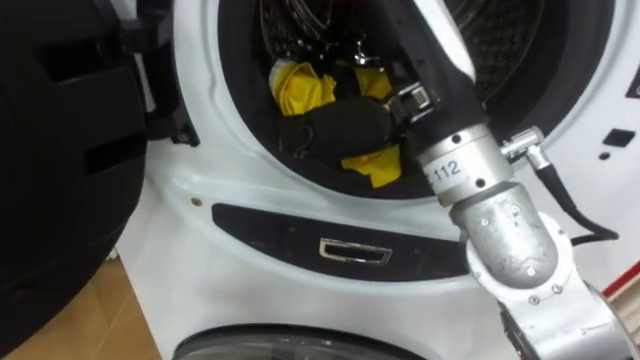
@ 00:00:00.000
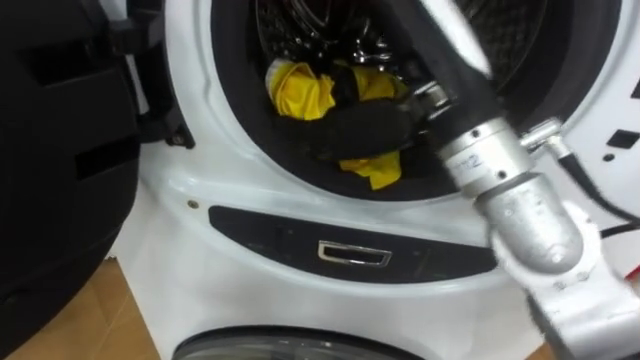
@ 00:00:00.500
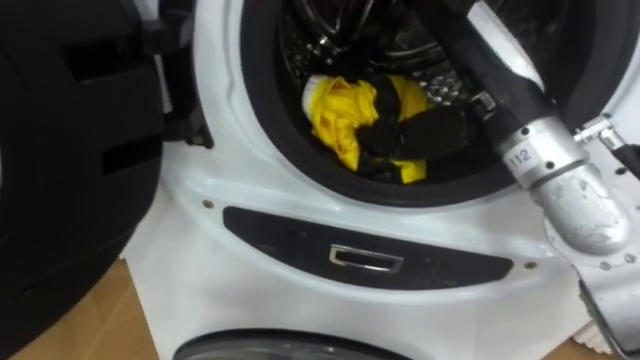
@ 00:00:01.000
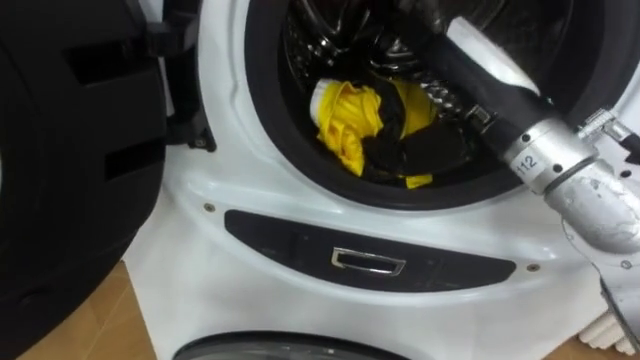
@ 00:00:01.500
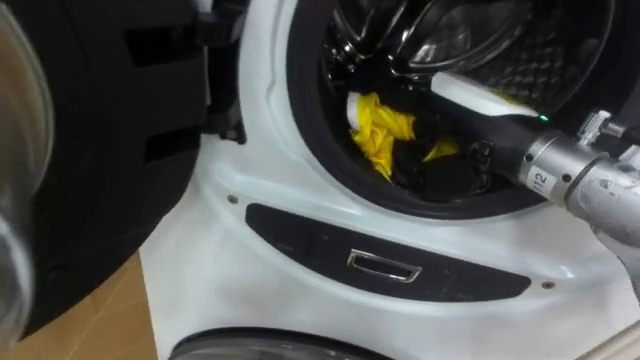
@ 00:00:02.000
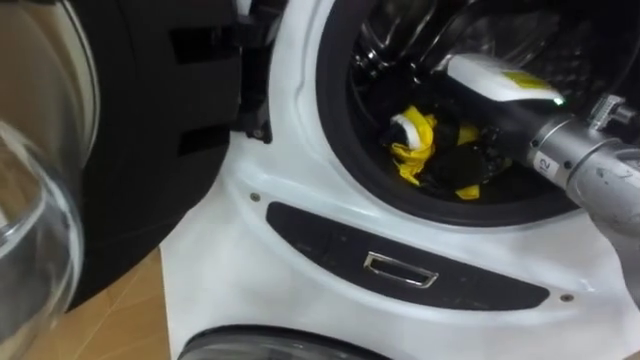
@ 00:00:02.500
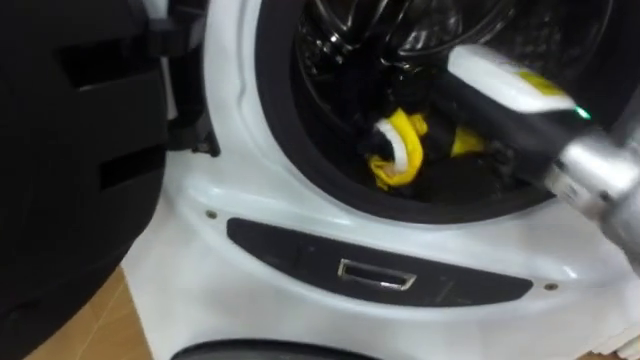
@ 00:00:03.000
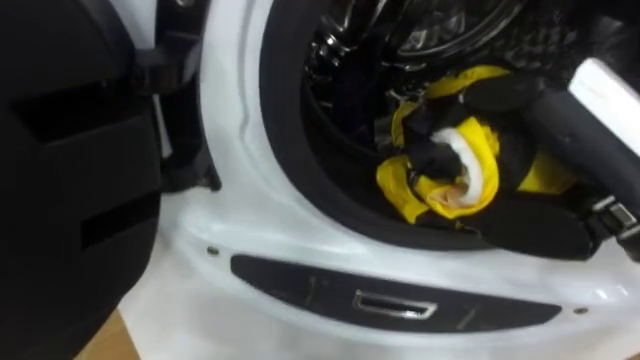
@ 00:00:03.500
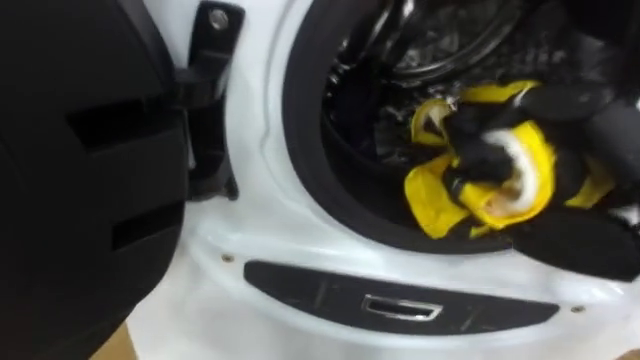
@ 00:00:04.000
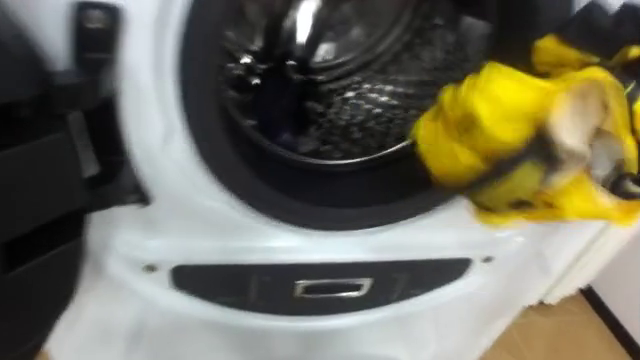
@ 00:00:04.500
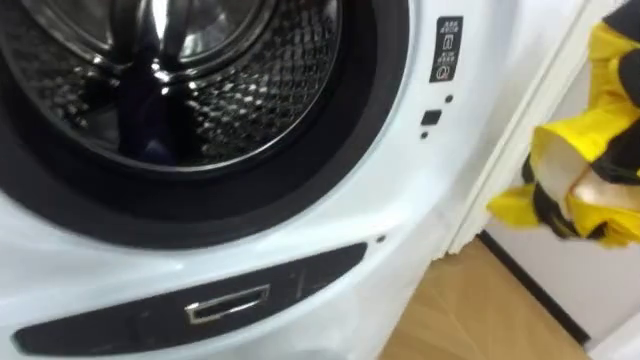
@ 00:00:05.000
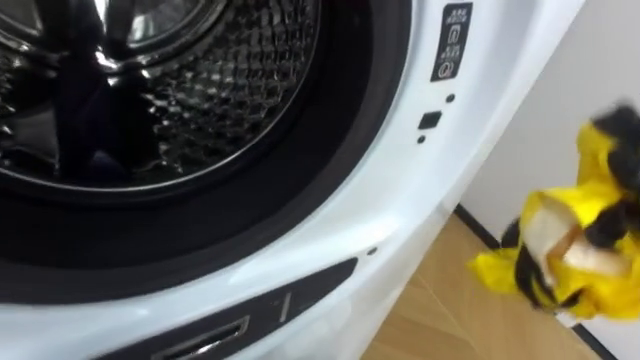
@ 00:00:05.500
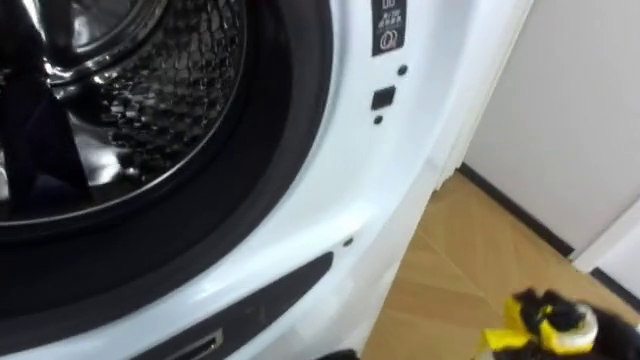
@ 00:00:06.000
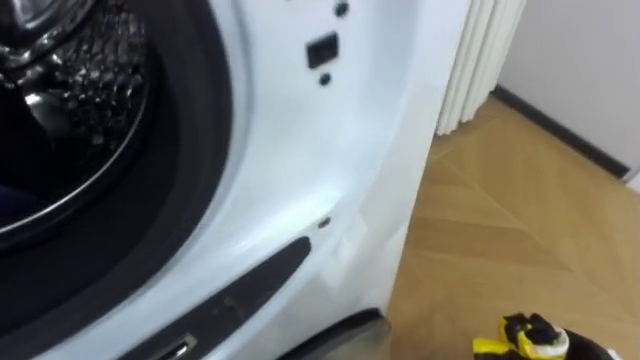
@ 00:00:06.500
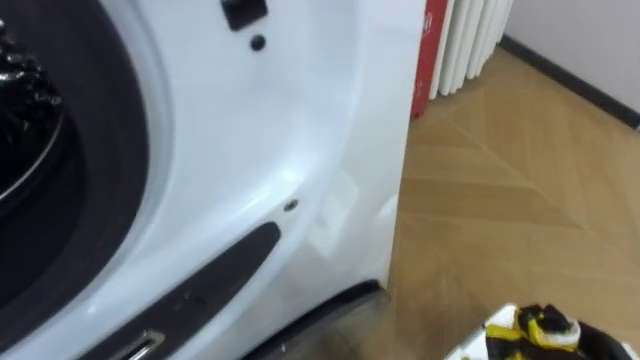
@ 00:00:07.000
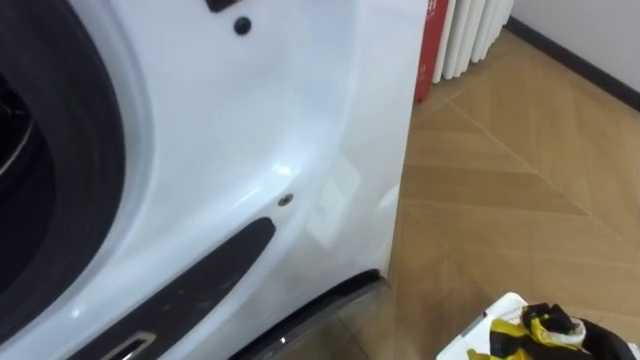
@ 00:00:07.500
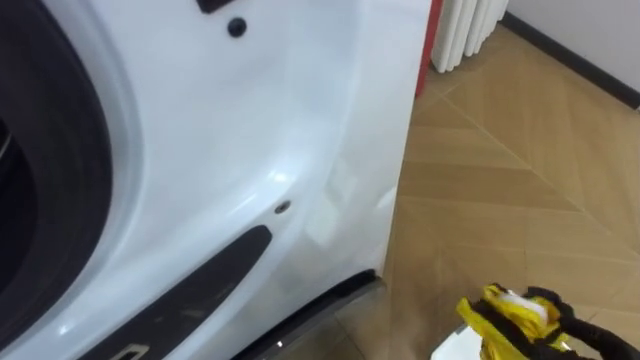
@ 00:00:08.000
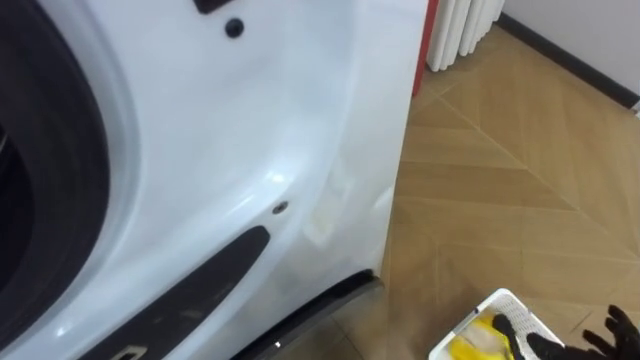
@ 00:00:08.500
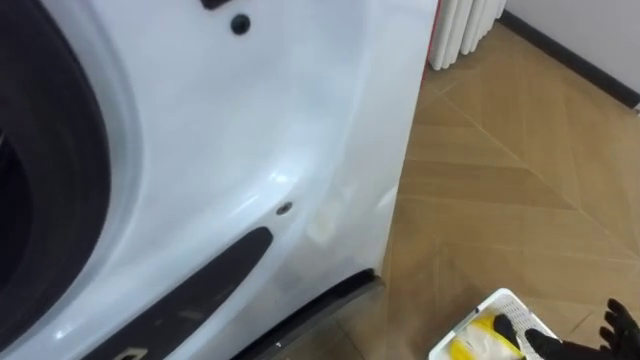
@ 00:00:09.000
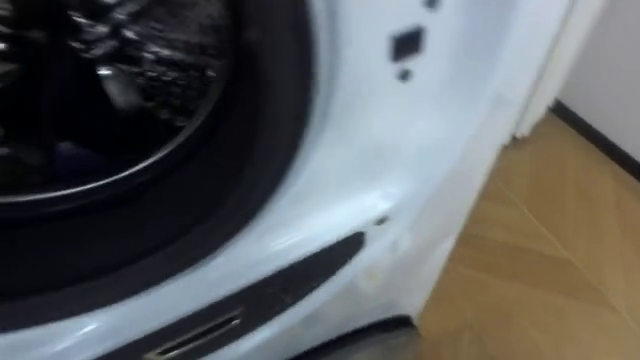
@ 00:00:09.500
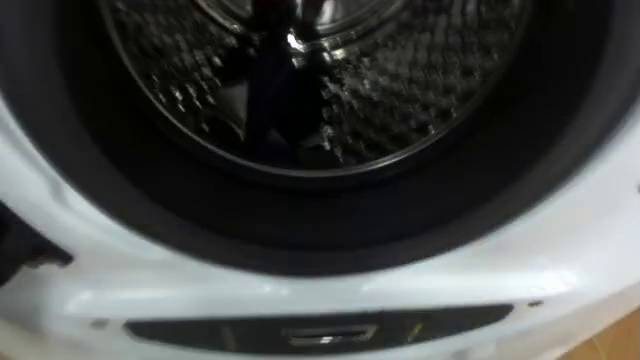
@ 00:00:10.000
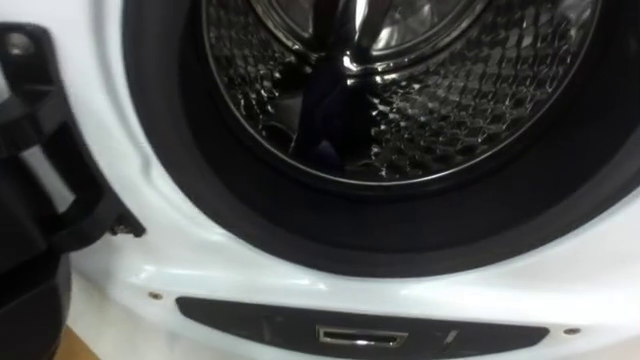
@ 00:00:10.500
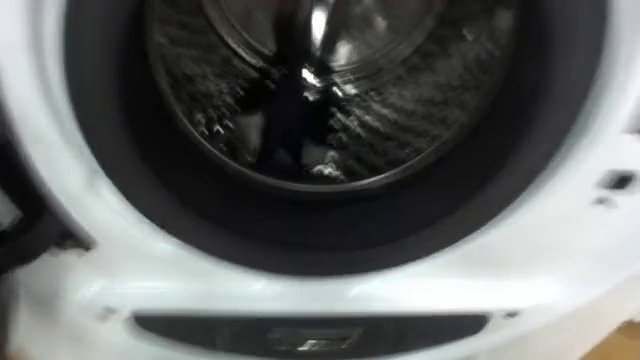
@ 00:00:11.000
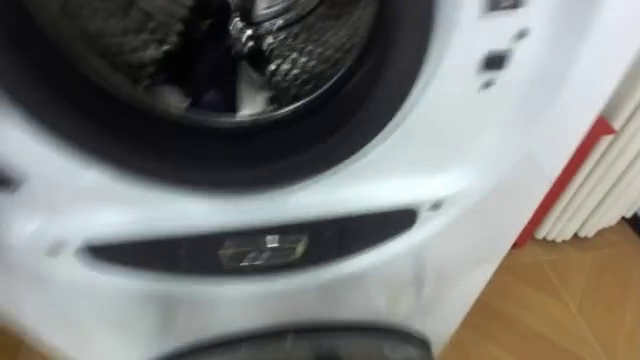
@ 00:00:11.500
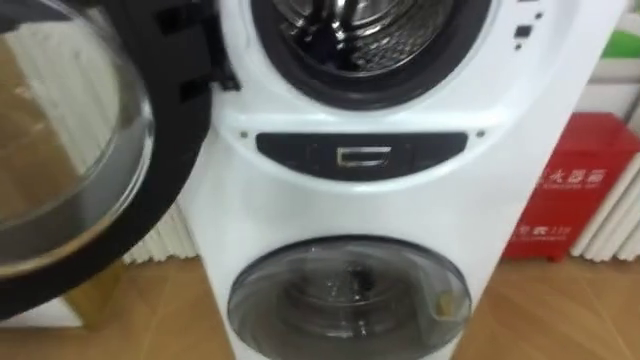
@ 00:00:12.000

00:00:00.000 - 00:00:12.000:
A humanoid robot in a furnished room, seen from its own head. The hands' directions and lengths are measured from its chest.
Task of the whole recording: Open the washing machine door, take out the yellow clothes, place them in the box on the right, and close the washing machine door.
00:00:00.000 - 00:00:02.000: The right hand heads downward and to the right, covering some 10 cm.

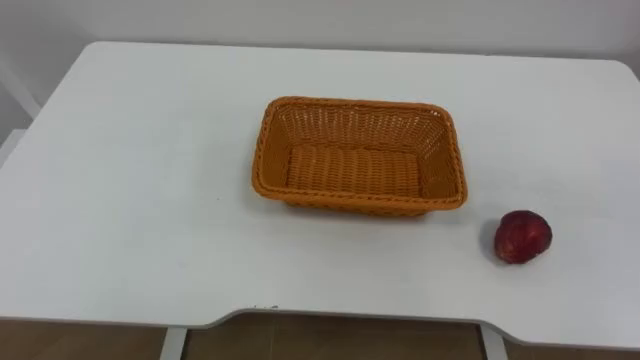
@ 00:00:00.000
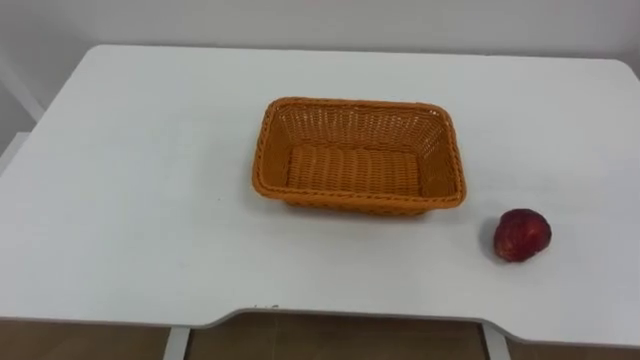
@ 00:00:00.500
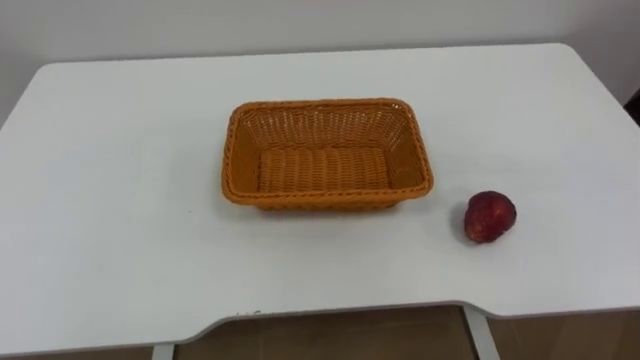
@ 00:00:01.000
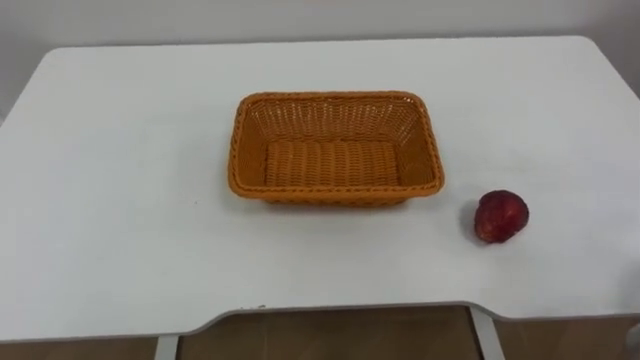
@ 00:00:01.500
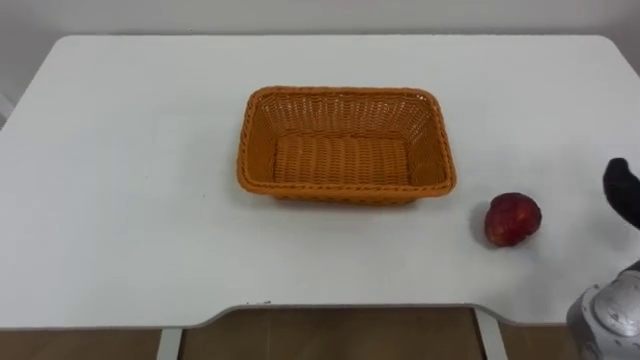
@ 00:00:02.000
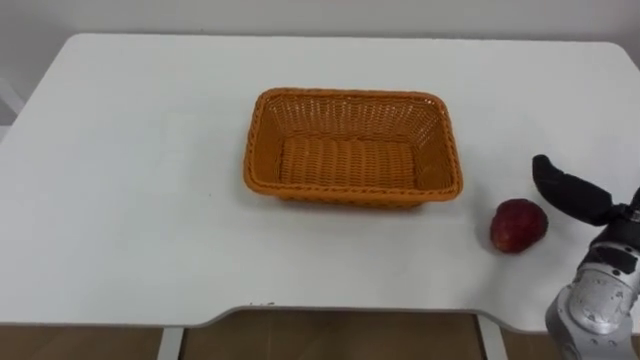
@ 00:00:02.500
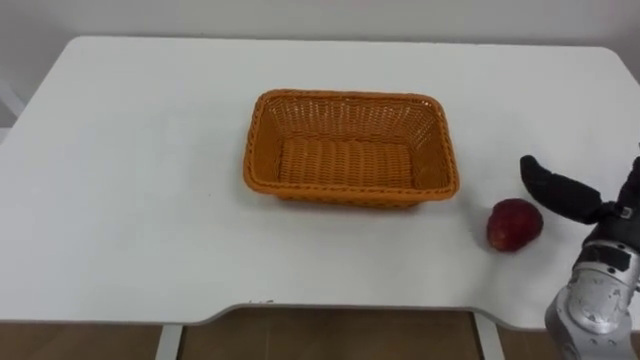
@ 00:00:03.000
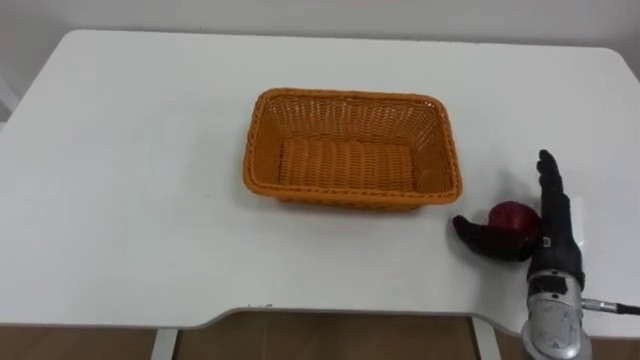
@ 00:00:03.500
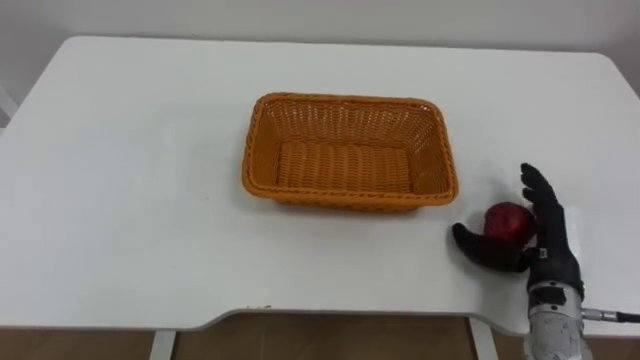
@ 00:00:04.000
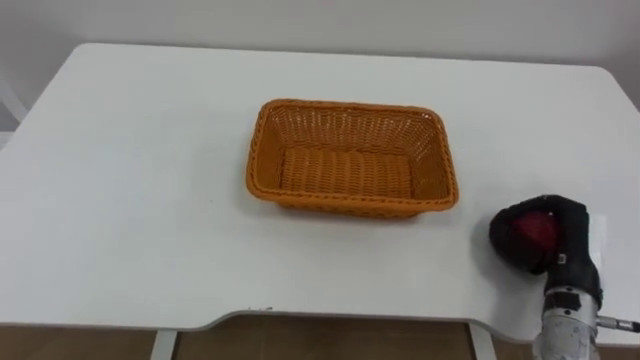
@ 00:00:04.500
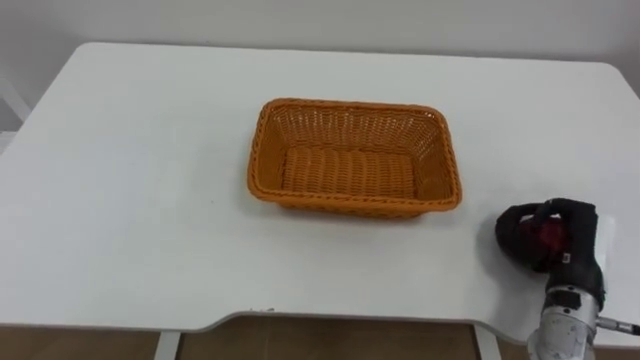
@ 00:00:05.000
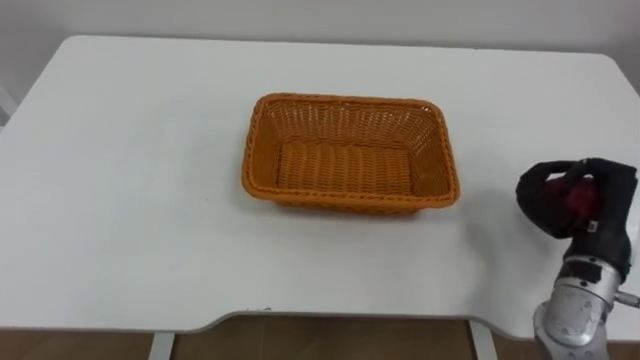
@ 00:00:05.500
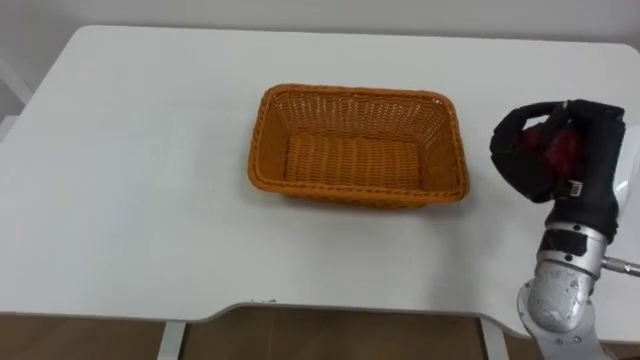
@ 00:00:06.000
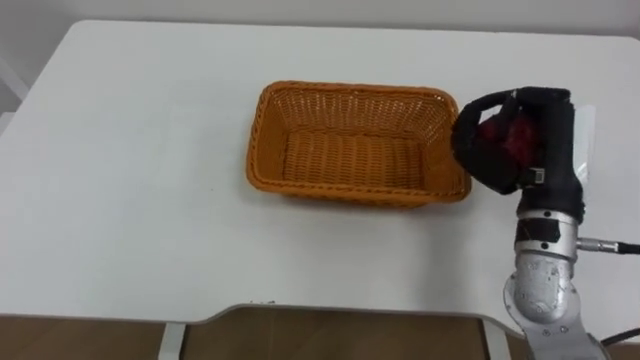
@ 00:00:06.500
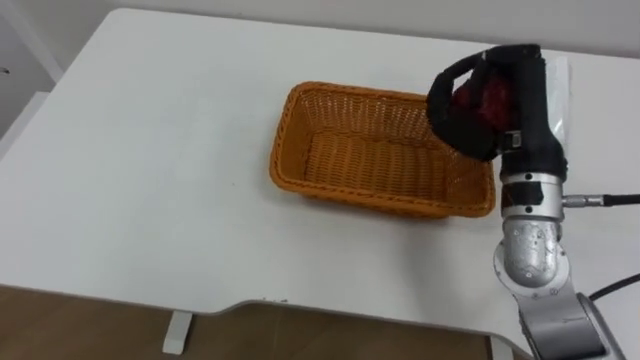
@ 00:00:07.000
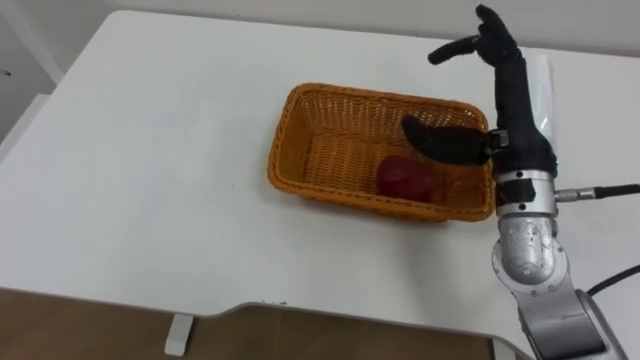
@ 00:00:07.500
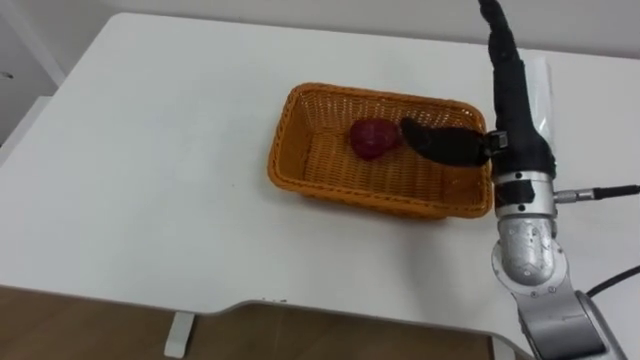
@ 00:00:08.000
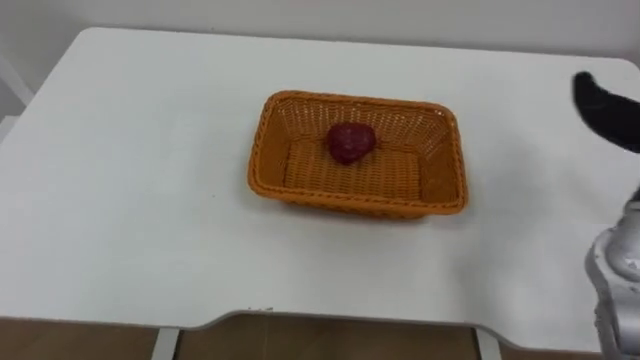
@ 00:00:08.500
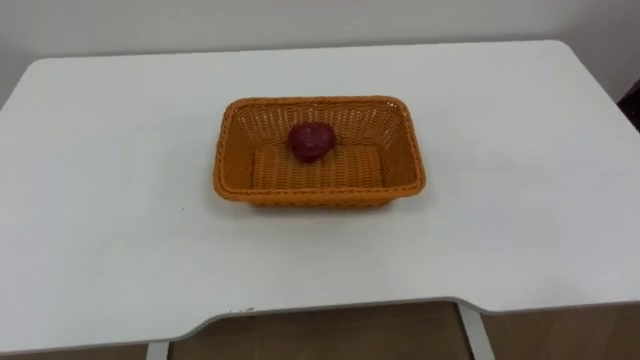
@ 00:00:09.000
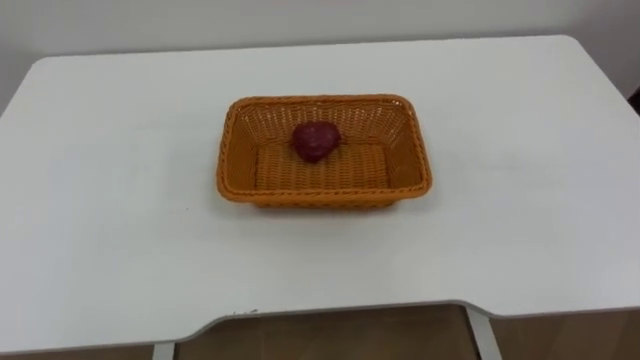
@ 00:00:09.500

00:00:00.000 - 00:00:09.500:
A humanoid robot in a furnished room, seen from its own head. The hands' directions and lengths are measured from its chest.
Task of the whole recording: Pick the apple and place it in the box.
00:00:04.000 - 00:00:05.500: The right hand ends up approximately 5 cm from where it was, and closes up.
00:00:05.500 - 00:00:07.500: The right hand goes some 15 cm to the left, upward and forward, and opens up.
